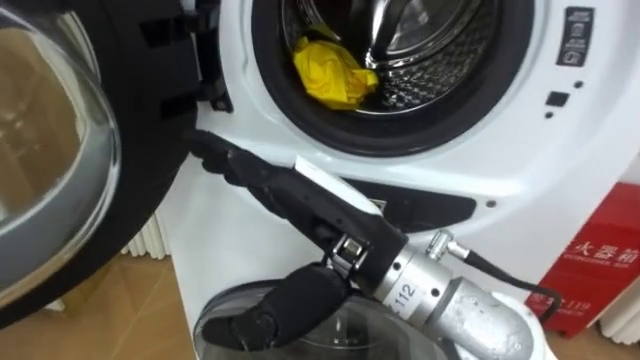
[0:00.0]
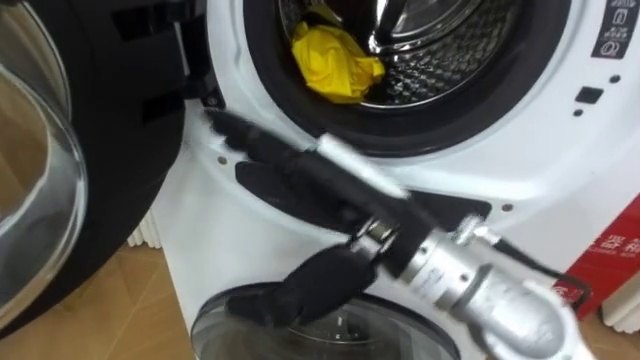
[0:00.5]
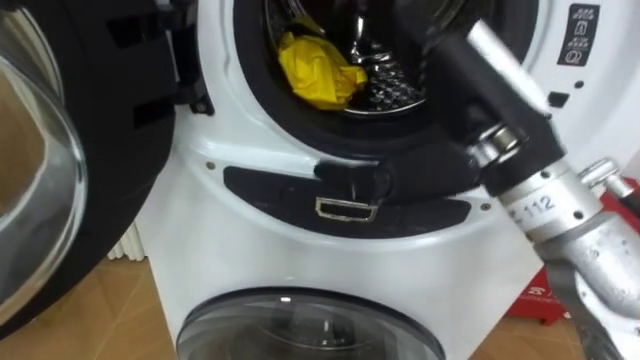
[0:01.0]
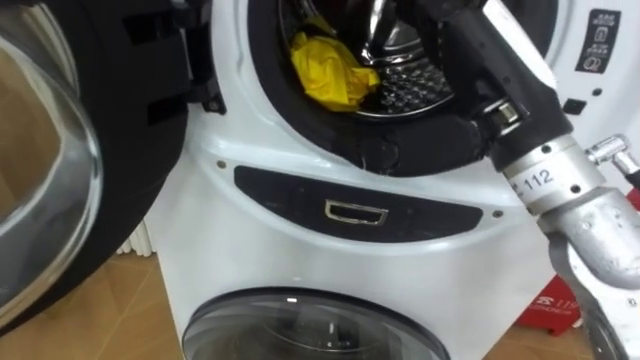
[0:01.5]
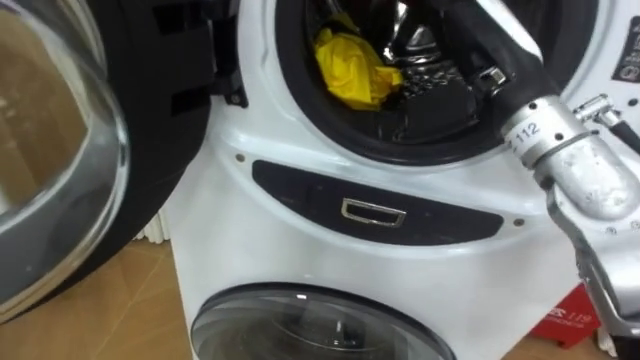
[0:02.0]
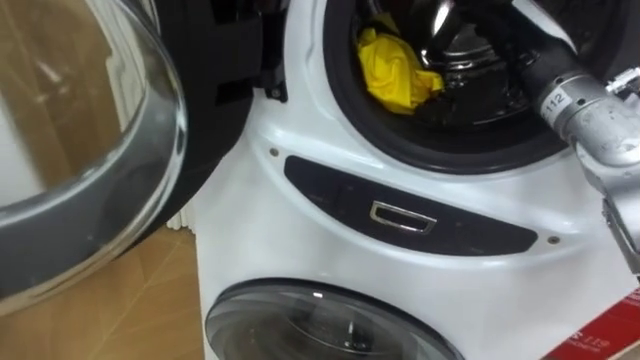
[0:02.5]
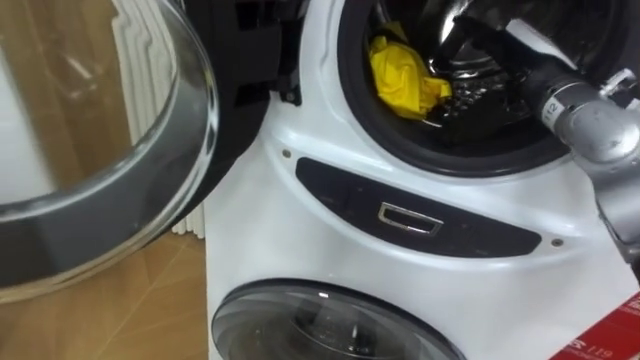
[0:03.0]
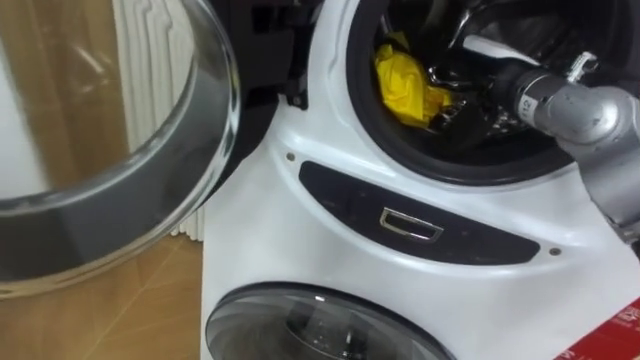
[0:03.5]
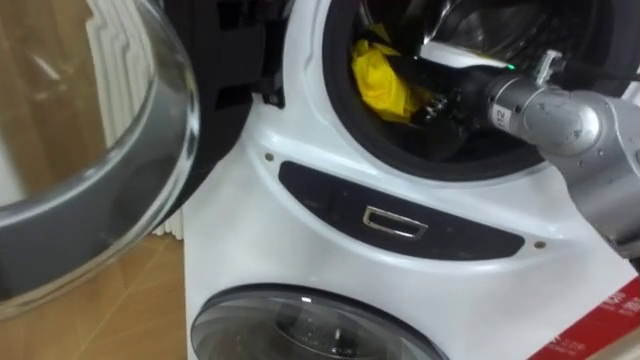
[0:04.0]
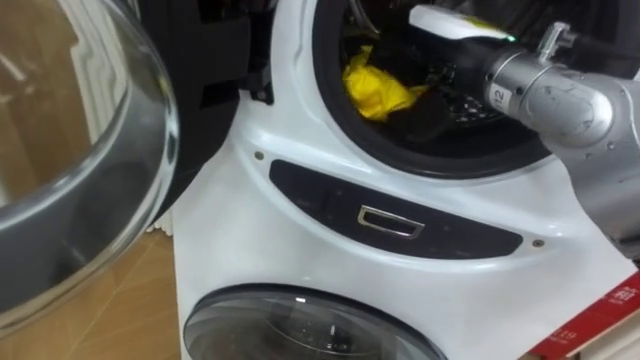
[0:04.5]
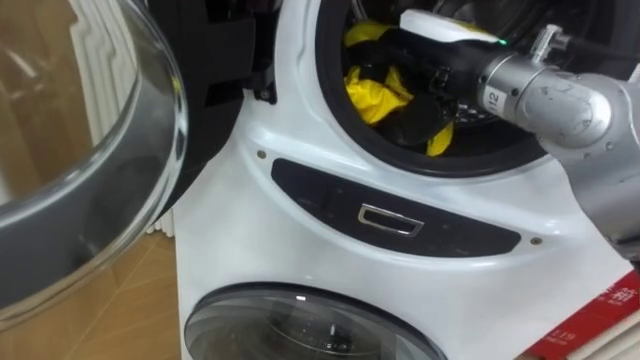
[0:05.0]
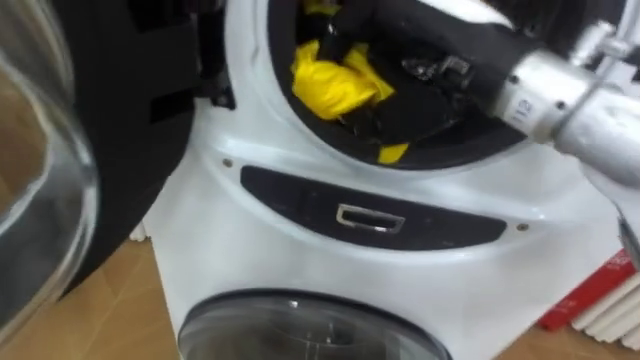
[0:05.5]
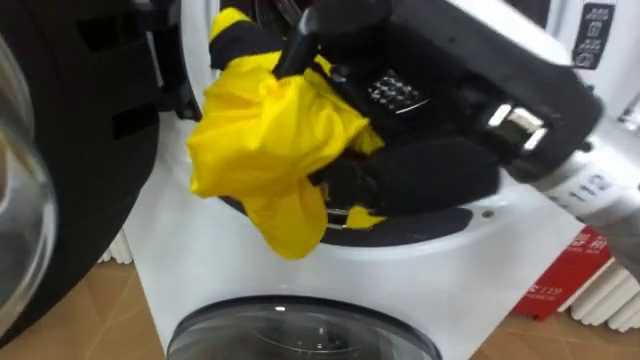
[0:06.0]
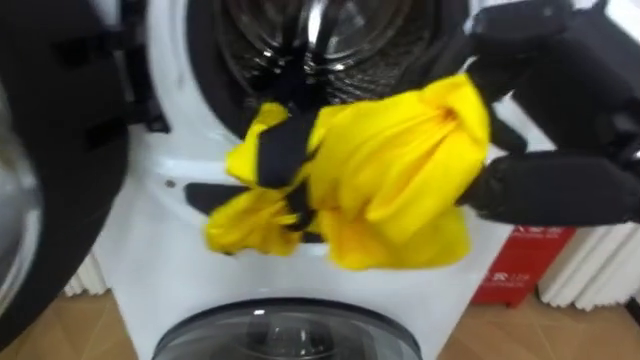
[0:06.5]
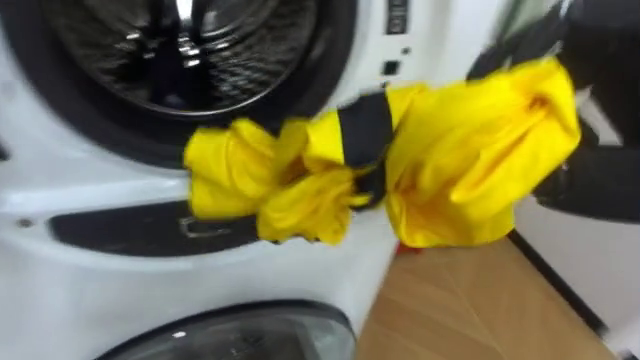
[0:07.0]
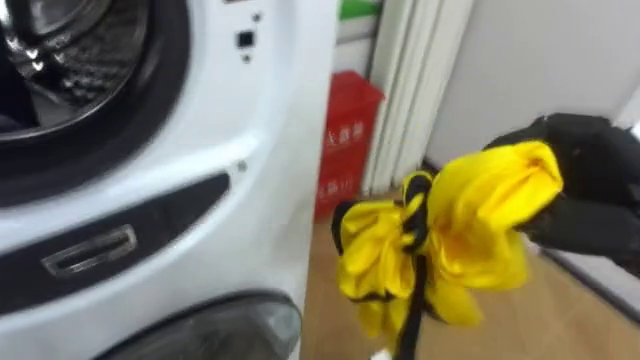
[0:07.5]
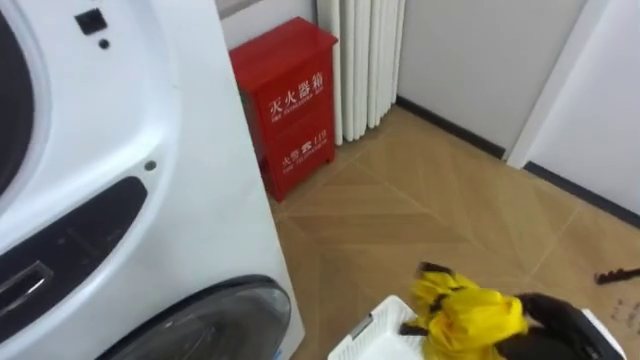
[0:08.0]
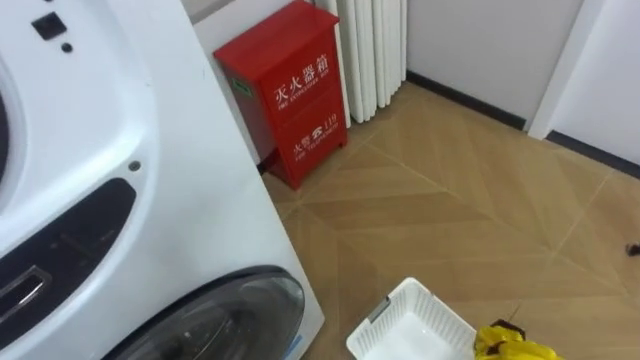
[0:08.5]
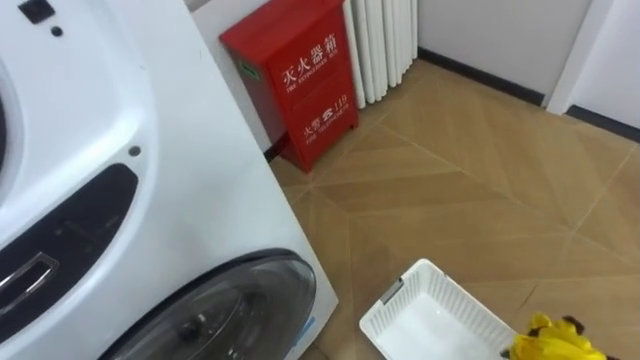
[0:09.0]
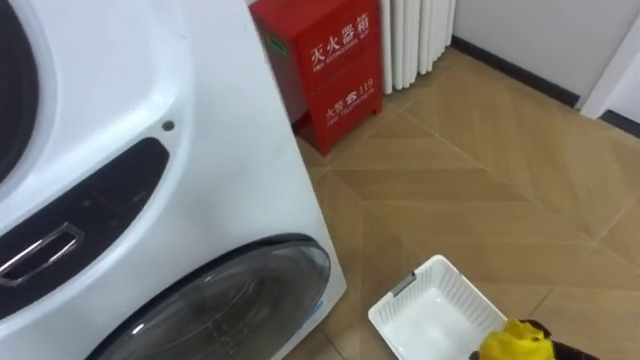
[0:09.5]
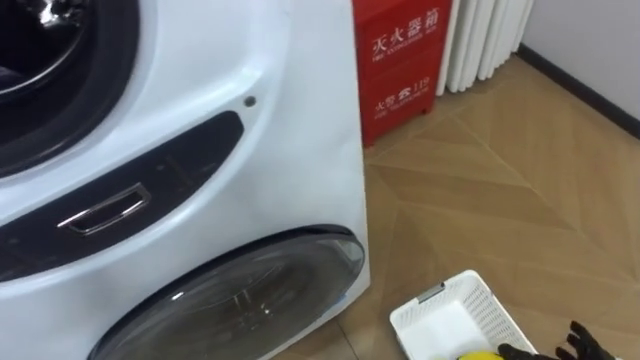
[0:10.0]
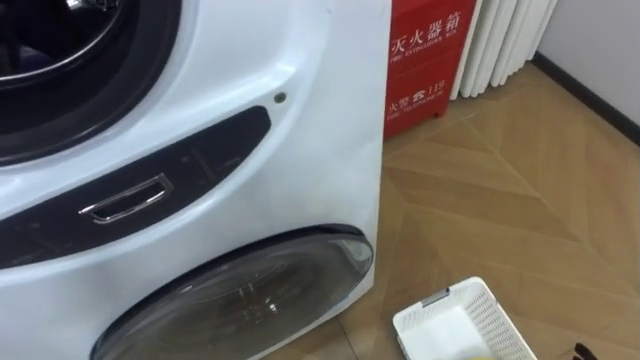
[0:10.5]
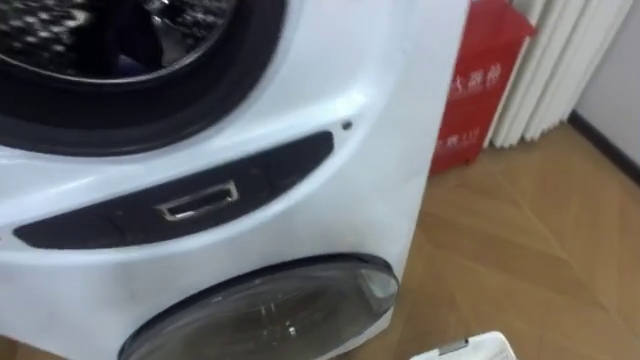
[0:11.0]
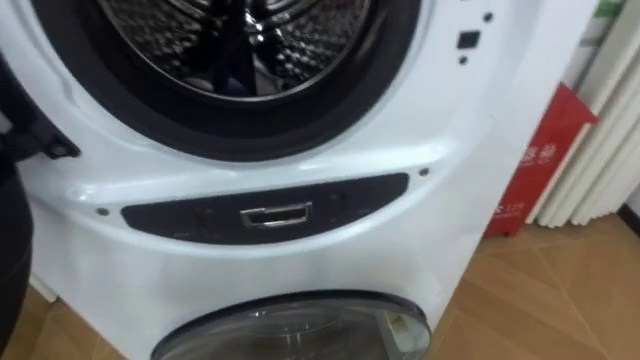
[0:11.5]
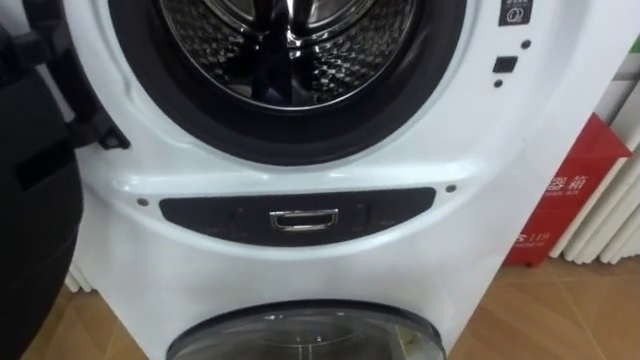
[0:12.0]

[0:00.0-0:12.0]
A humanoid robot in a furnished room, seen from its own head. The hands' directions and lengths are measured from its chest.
Task of the whole recording: Open the washing machine door, take out the yellow clothes, place them in the box on the right, and close the washing machine door.
0:00.0 to 0:02.0: The right hand moves to the right, forward and upward, some 20 cm.
0:02.0 to 0:04.0: The right hand goes to the right and returns, roughly 5 cm each way.
0:04.0 to 0:06.0: The right hand moves backward and upward, about 20 cm, and closes up.

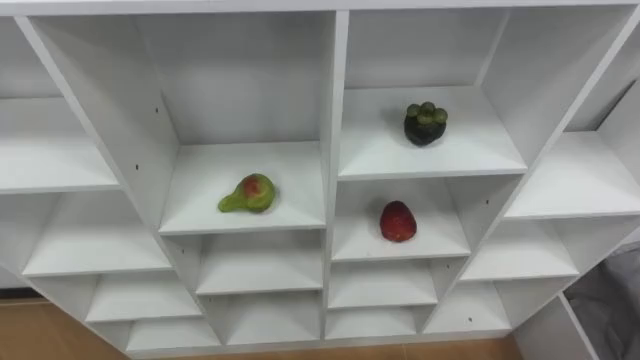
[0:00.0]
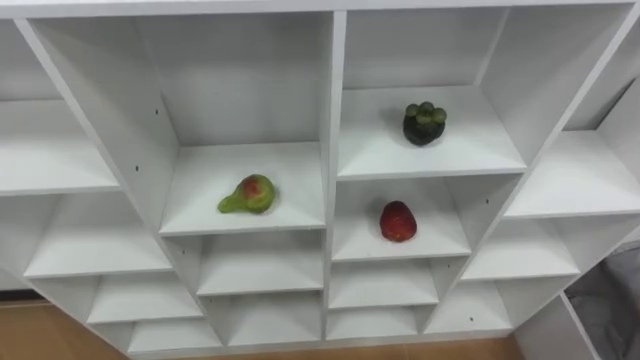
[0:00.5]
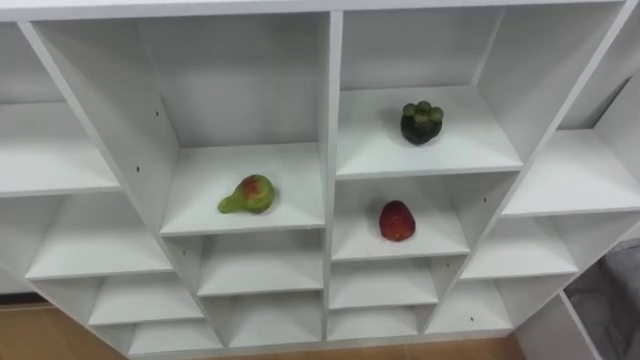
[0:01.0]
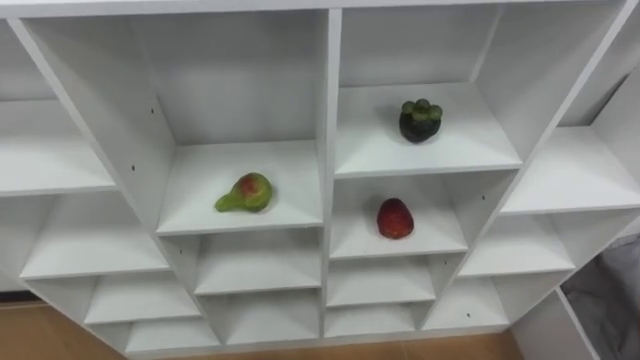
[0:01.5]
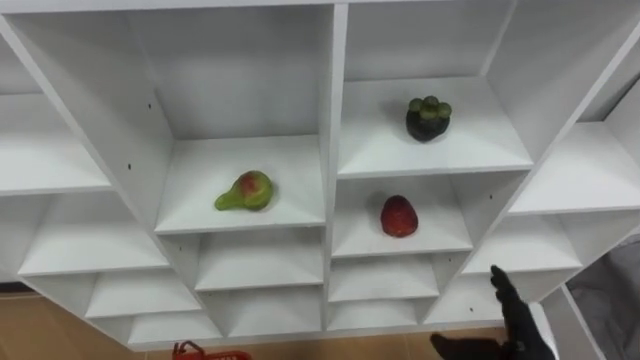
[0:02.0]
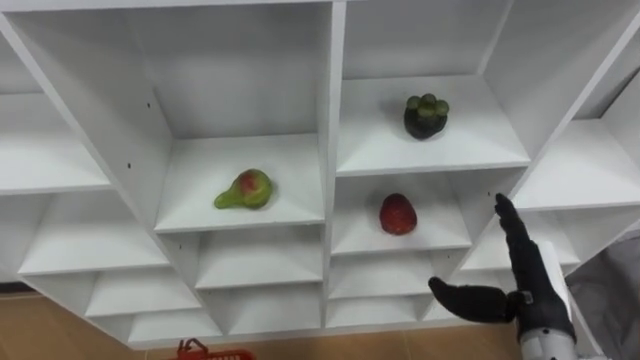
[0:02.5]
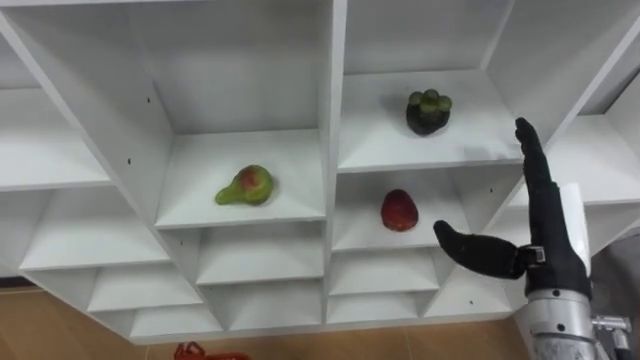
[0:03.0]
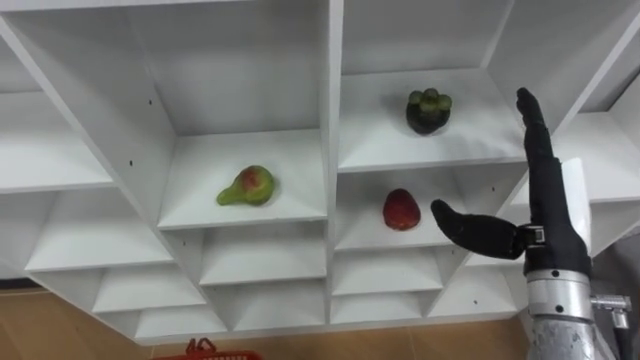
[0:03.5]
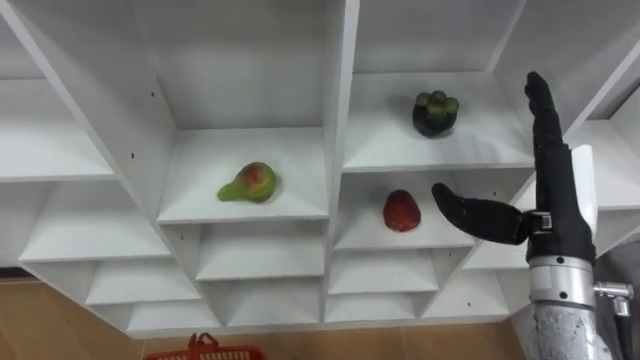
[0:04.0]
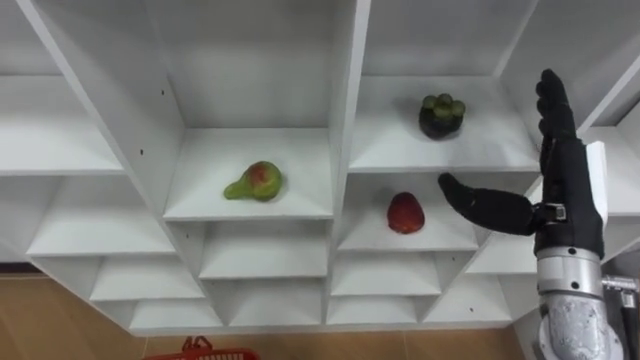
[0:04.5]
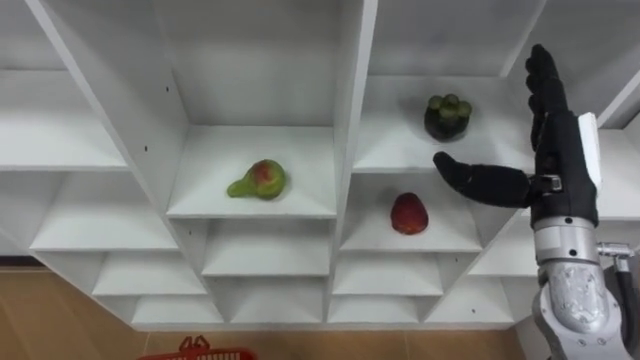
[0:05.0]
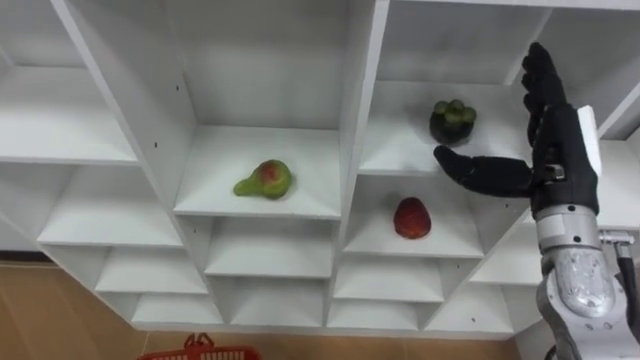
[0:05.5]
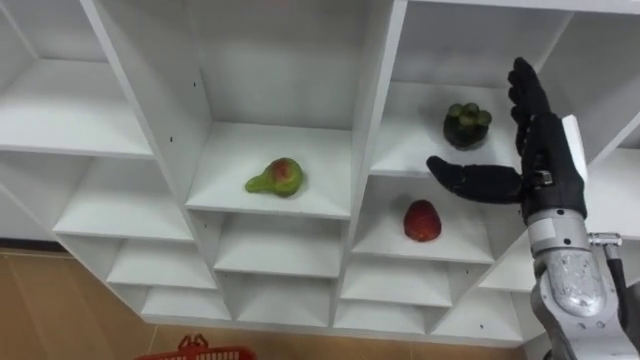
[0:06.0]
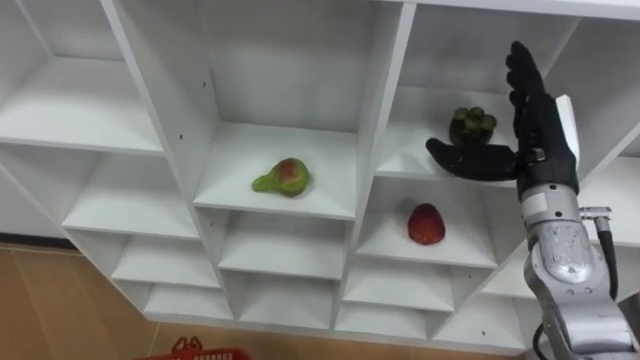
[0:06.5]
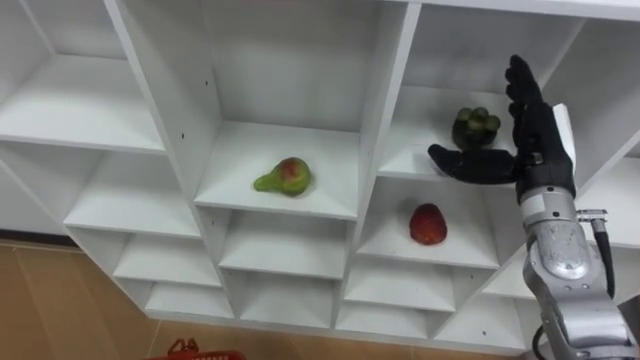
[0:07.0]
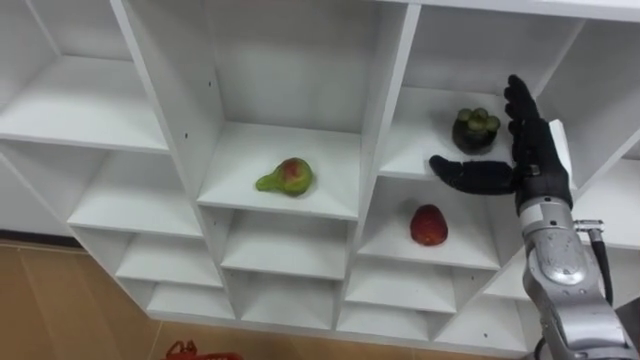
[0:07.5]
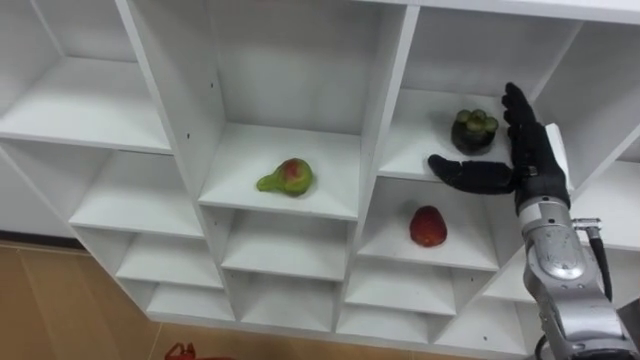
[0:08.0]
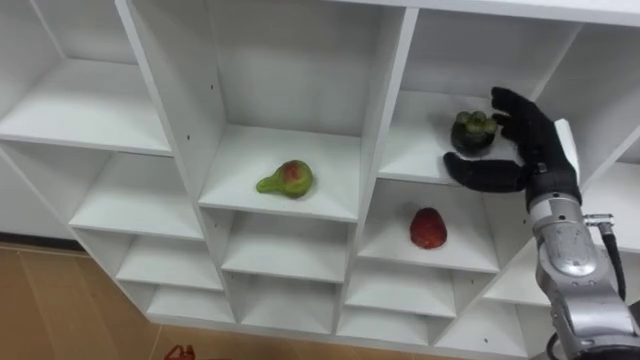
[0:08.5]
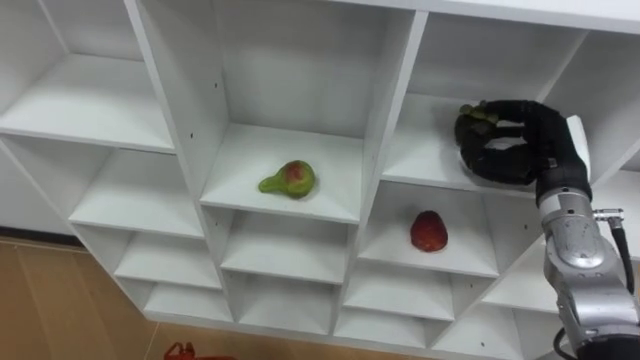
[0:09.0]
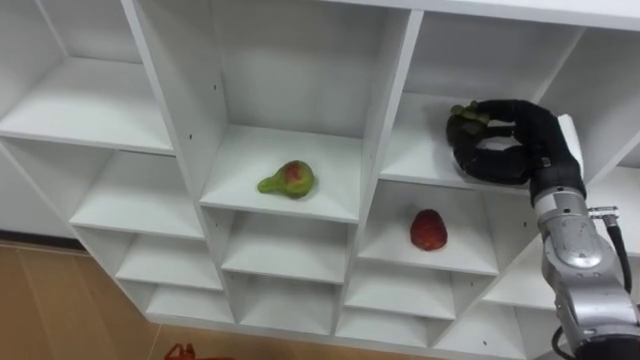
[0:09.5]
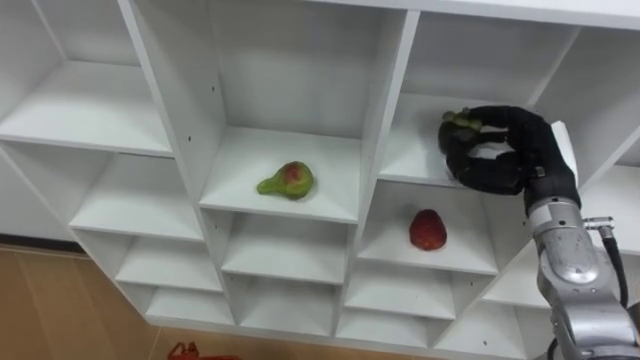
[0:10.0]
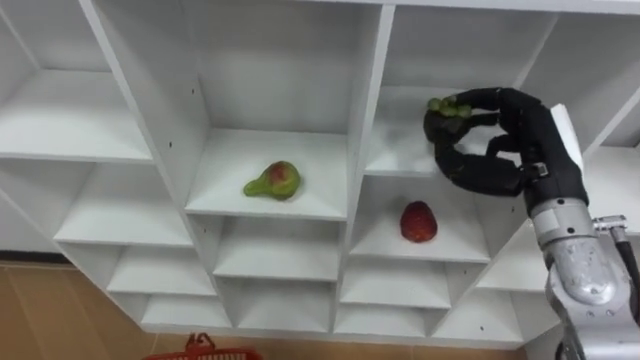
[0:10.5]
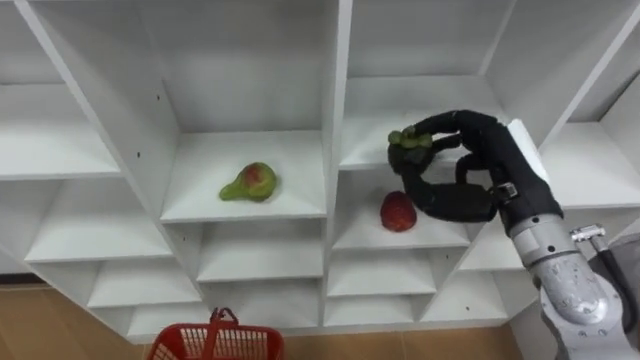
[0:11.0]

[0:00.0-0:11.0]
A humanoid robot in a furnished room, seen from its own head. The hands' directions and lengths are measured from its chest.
Task of the whole recording: Hold the basket and collect the fruits from 3 different cells of the closet into it.
0:02.0 to 0:03.5: The right hand moves upward and forward, approximately 20 cm.
0:03.5 to 0:05.5: The right hand is displaced forward by some 5 cm.
0:05.5 to 0:07.5: The right hand ends up roughly 5 cm from where it was.
0:07.5 to 0:09.0: The right hand closes its fingers.
0:09.0 to 0:11.0: The right hand shifts roughly 5 cm to the left.
